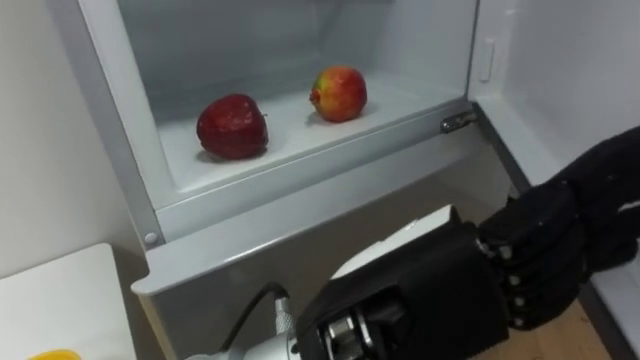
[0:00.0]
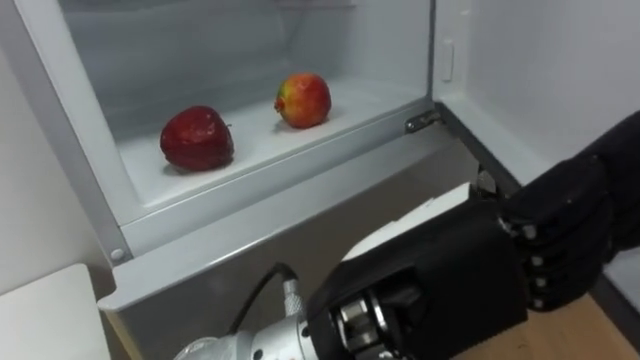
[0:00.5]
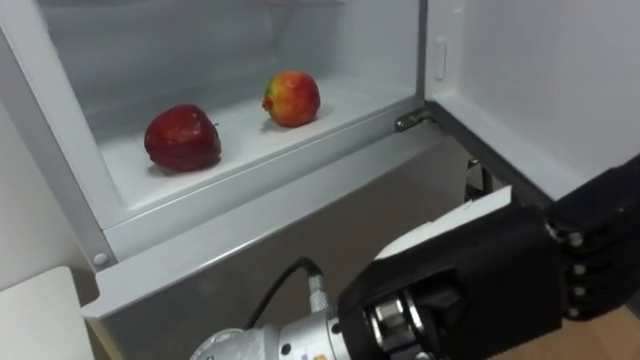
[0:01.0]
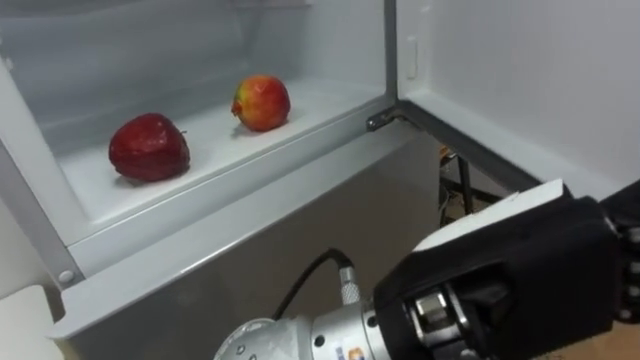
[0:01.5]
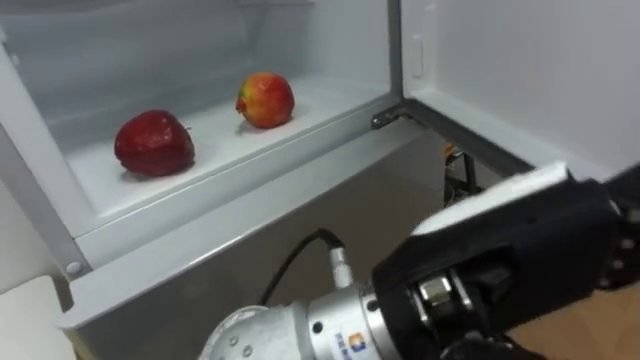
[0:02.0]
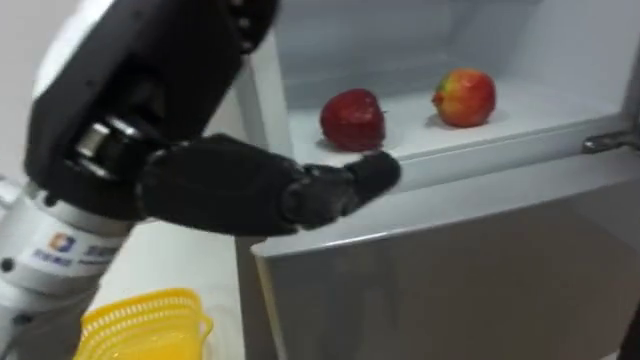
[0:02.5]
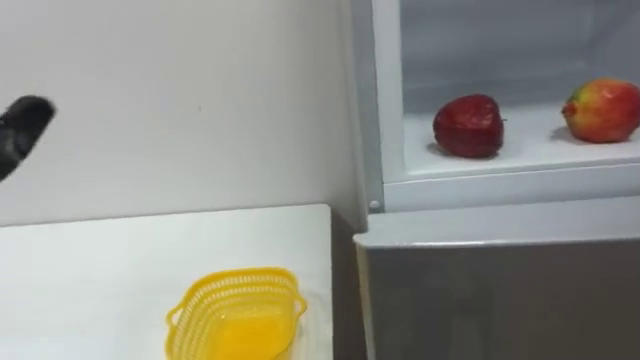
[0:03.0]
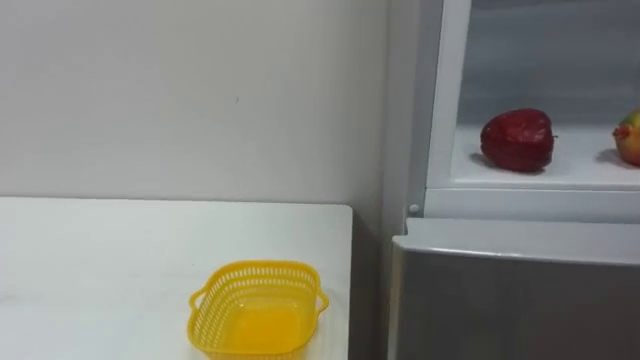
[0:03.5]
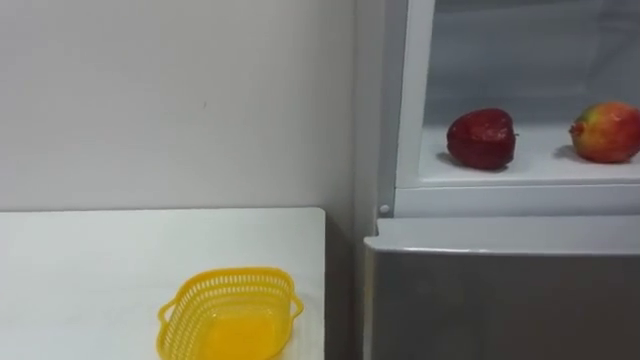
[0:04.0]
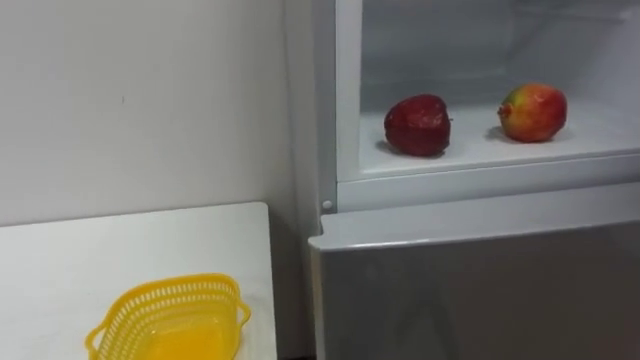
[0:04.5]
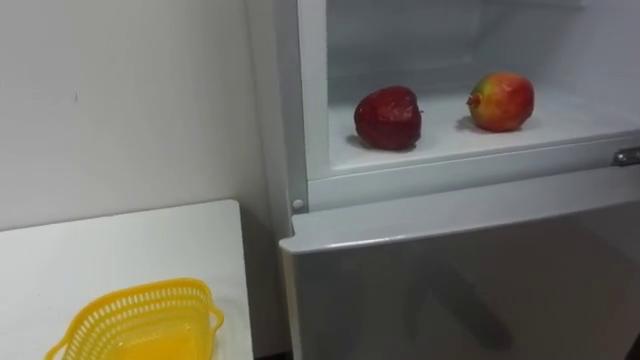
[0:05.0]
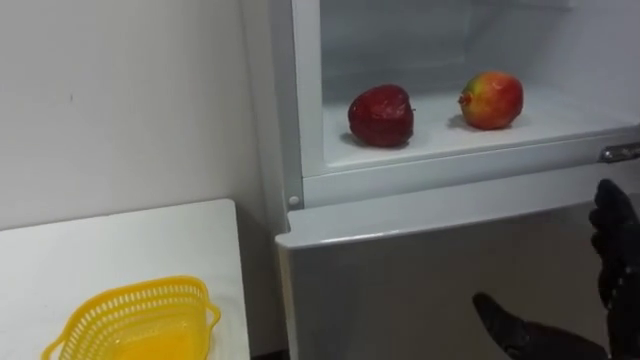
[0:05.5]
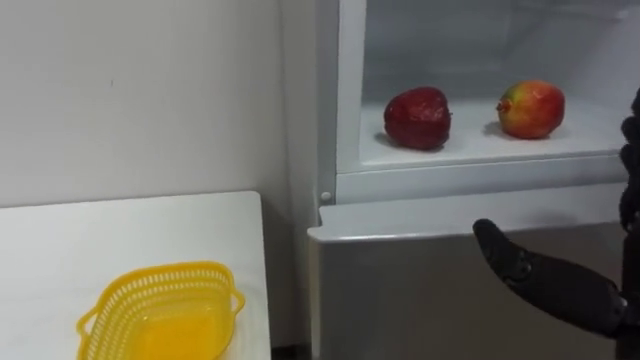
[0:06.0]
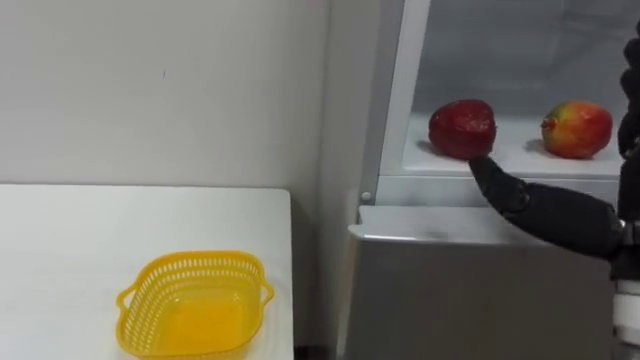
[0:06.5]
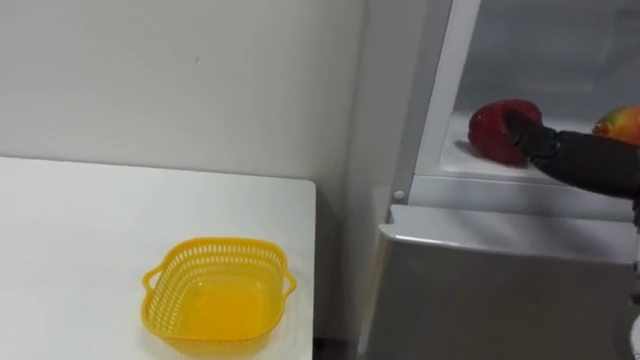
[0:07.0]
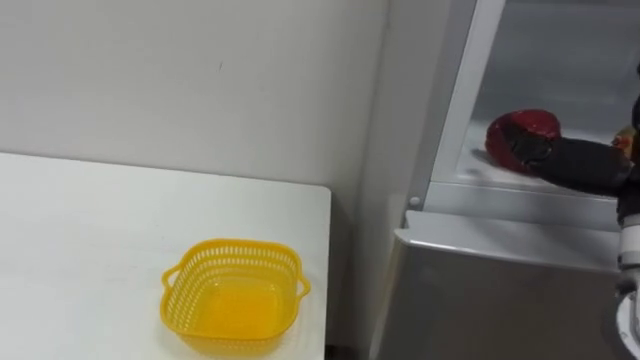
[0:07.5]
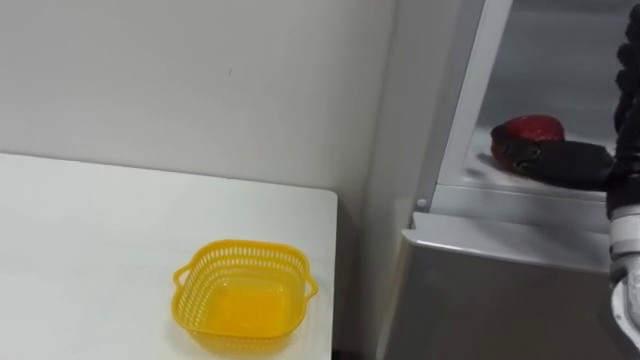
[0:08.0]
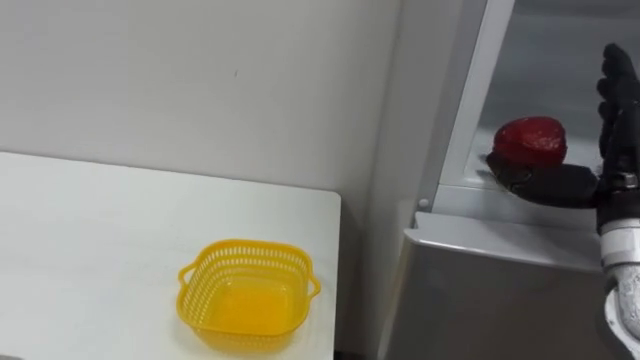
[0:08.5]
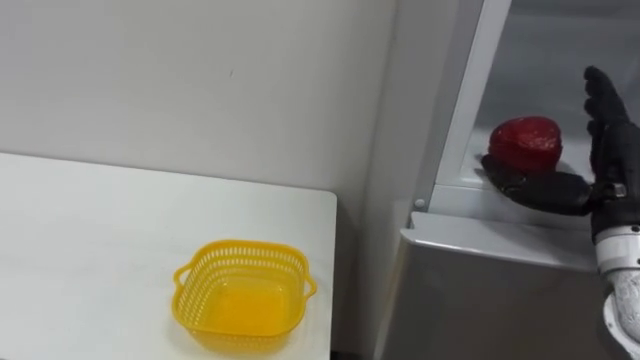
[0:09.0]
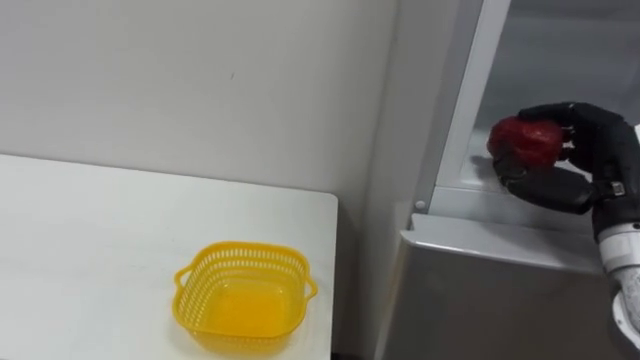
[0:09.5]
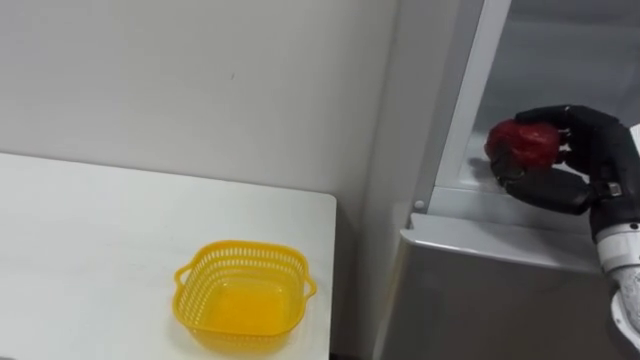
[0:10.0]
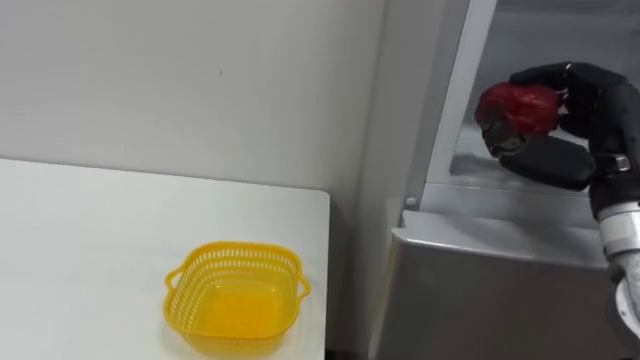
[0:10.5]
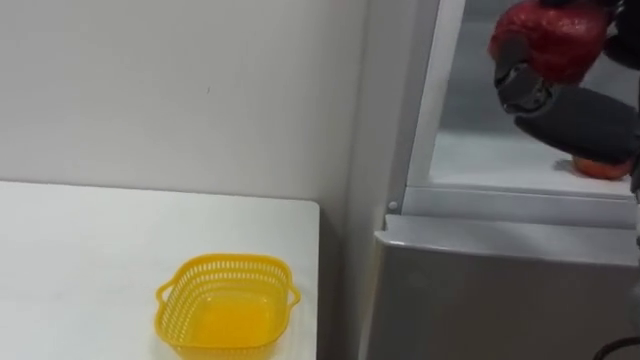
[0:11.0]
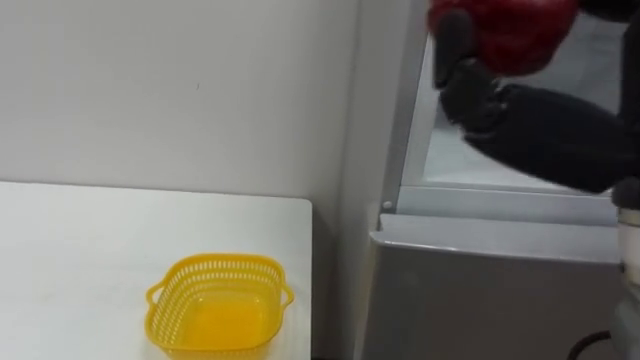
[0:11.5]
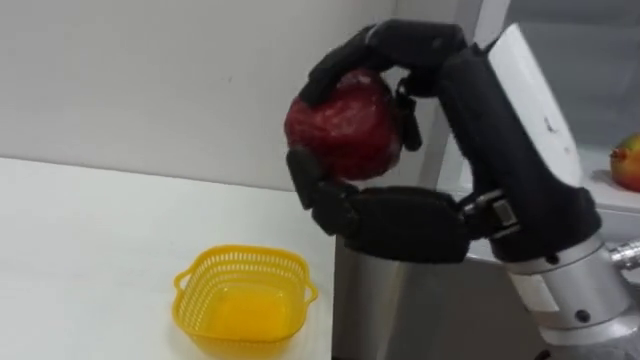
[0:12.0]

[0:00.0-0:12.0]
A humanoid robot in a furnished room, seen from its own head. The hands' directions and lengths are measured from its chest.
Task of the whole recording: Open the refrigerator door, take out the apple and the pomegranate, place them in the fruit basket on the left, and close the refrigerator door.
0:00.0 to 0:02.0: The left hand shifts by approximately 5 cm.
0:08.0 to 0:10.0: The right hand changes place by roughly 5 cm, and closes.

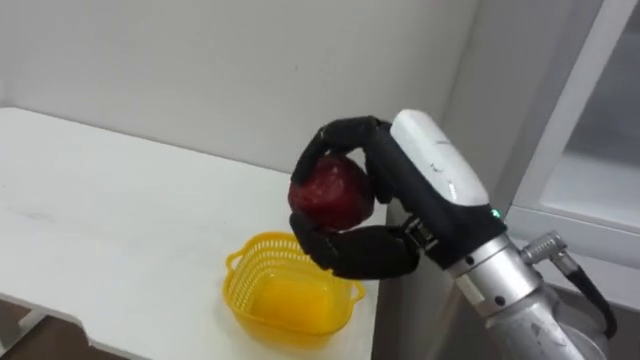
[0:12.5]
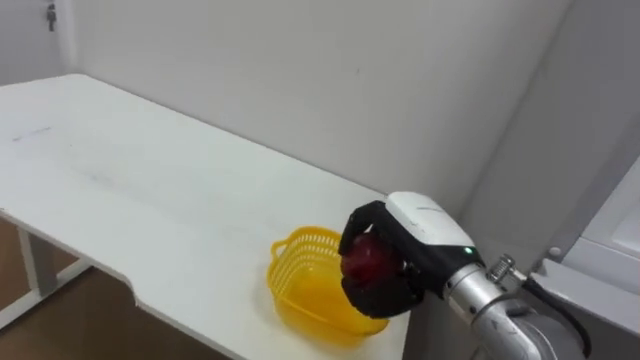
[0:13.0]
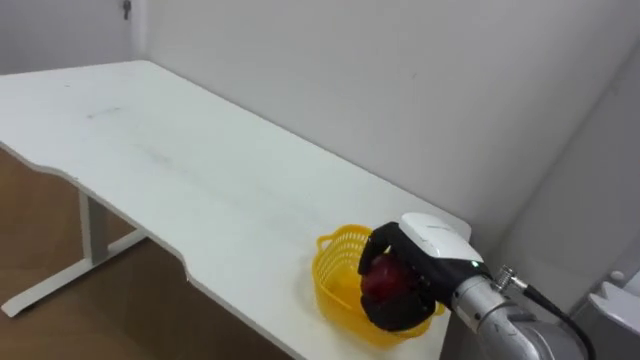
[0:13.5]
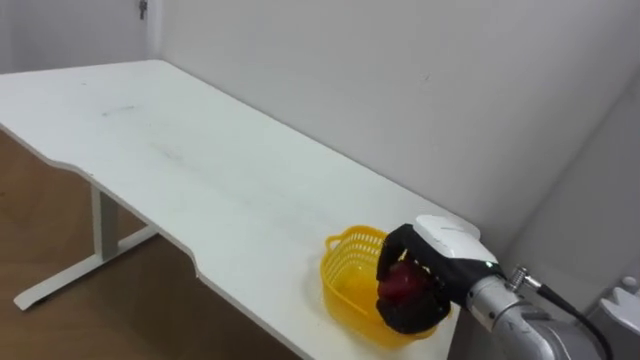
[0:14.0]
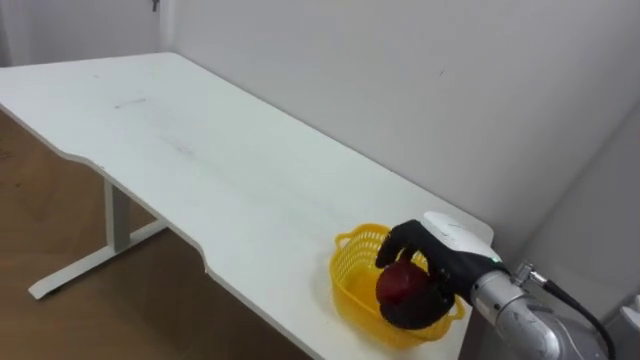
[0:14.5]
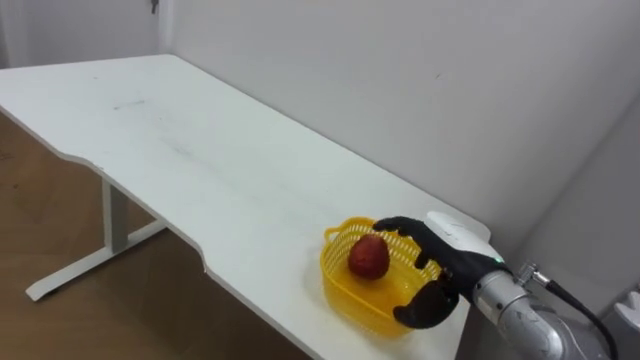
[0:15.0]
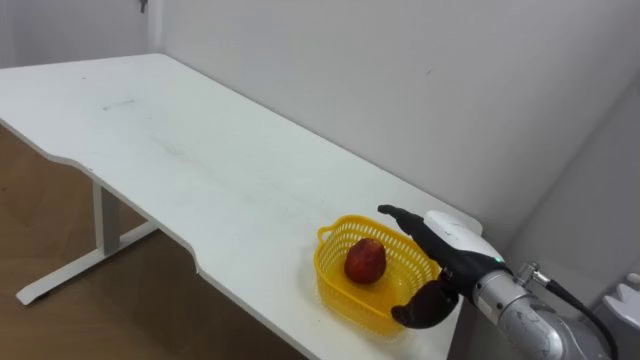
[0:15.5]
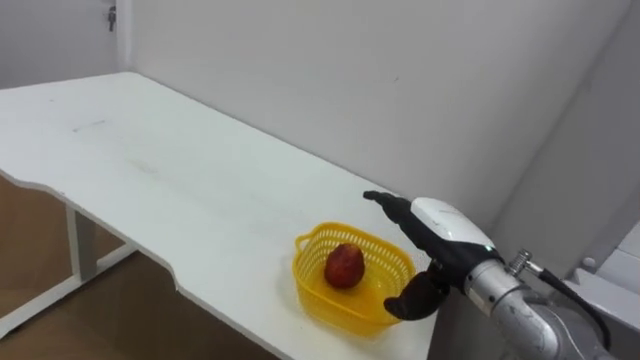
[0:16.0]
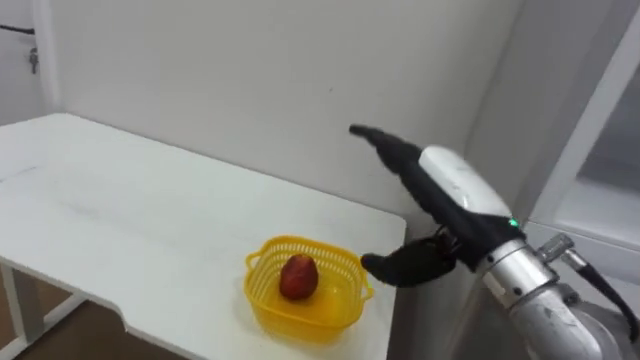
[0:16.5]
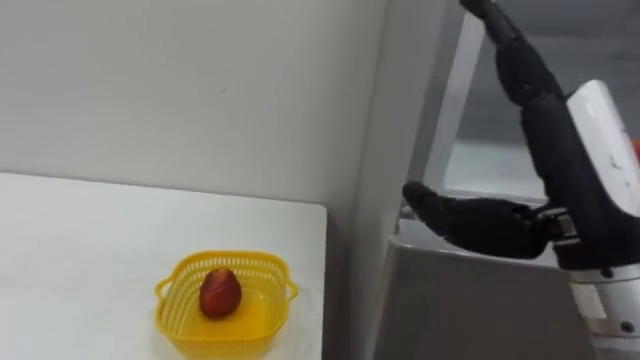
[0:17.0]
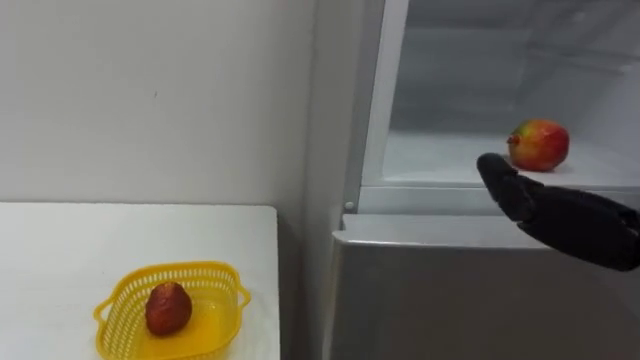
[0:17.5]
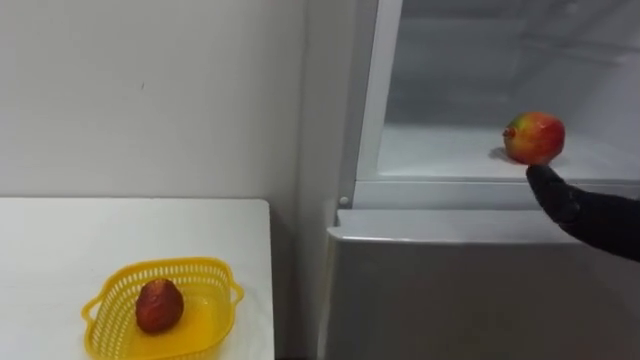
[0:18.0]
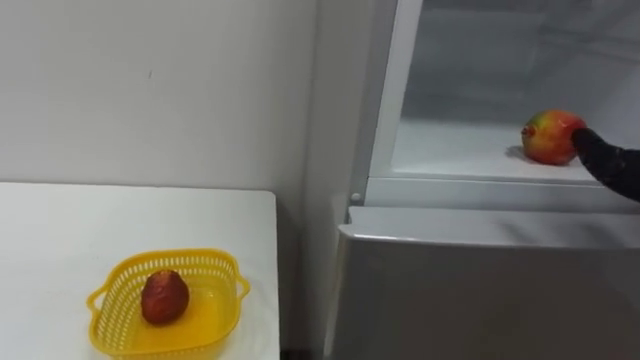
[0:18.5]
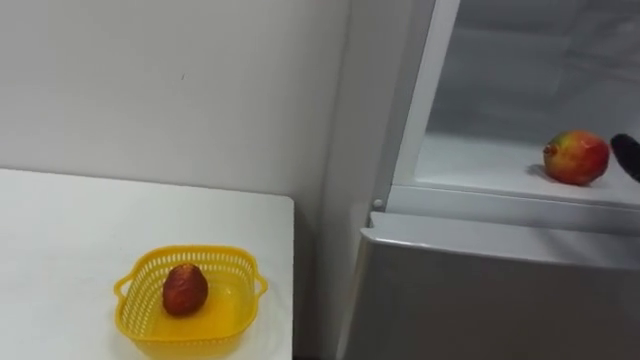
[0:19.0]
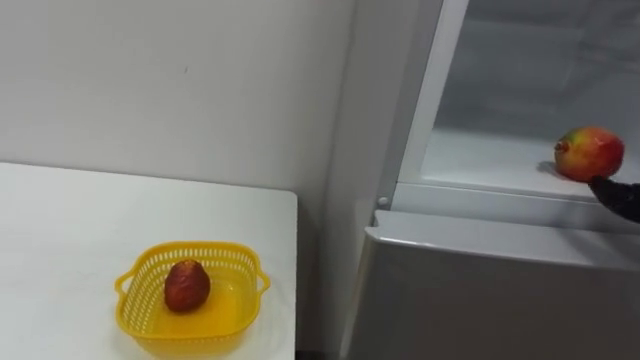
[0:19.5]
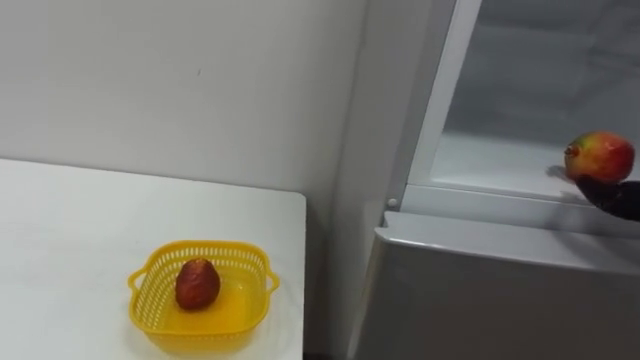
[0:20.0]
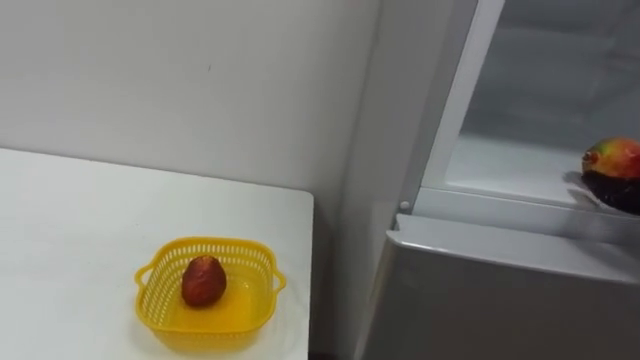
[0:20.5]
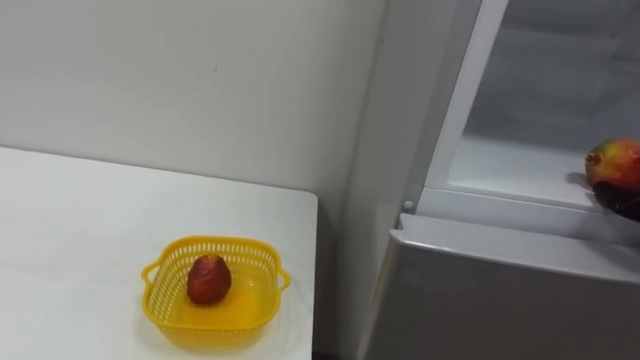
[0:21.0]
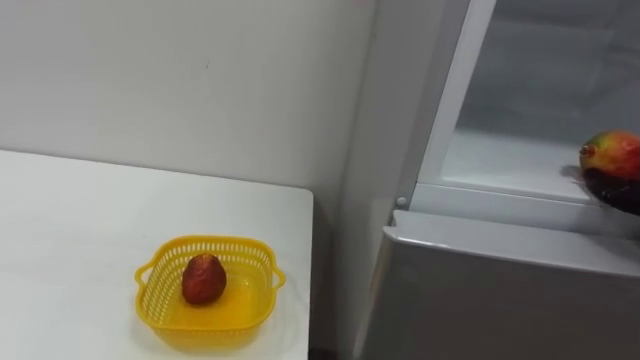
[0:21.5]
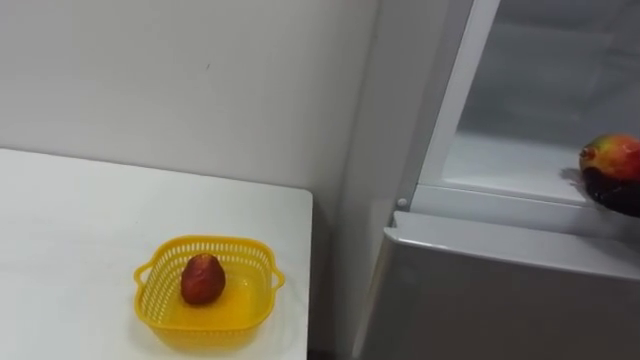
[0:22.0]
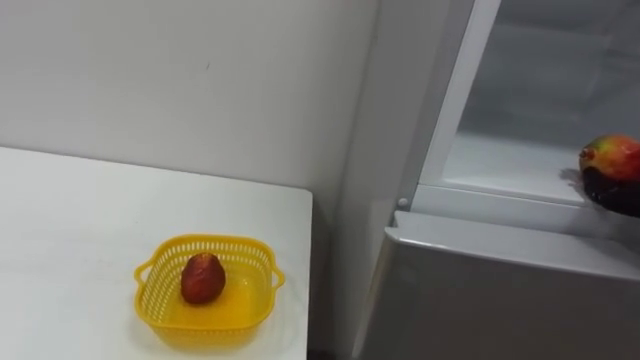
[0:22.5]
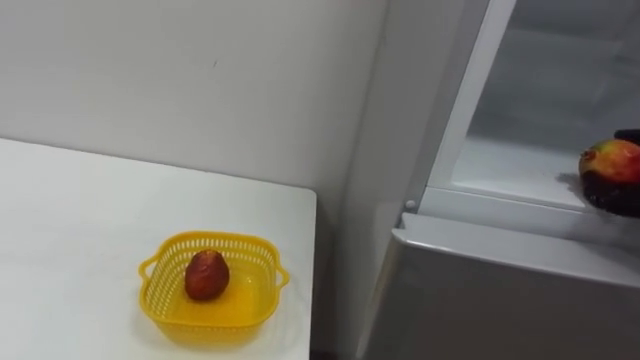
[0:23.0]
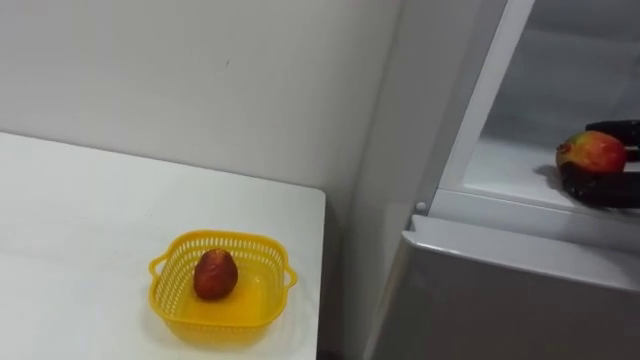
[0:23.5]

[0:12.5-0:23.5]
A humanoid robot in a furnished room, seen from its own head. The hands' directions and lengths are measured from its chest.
Task of the whole recording: Open the refrigerator door, take out the apple and the pomegranate, place them in the fruit basket on the left, and close the refrigerator door.
0:12.5 to 0:14.5: The right hand goes roughly 20 cm downward and forward.
0:14.5 to 0:16.0: The right hand opens its fingers.
